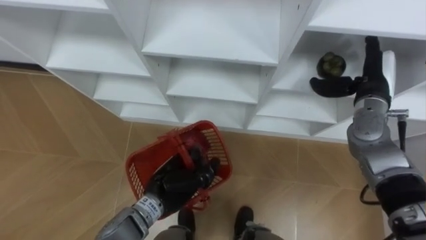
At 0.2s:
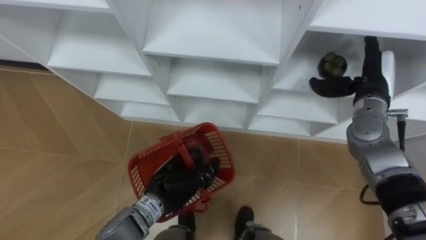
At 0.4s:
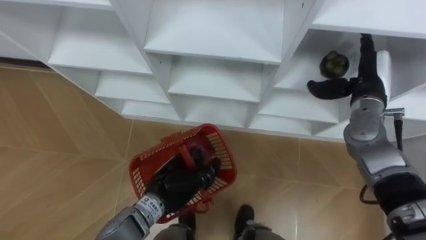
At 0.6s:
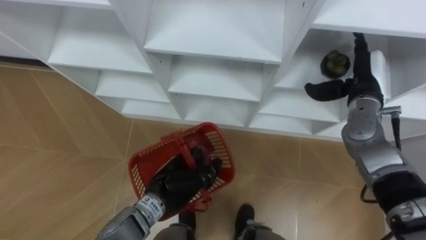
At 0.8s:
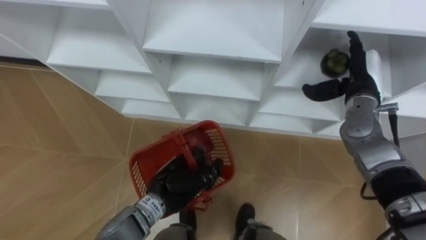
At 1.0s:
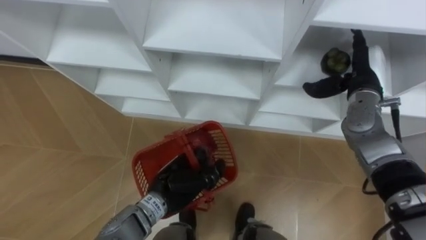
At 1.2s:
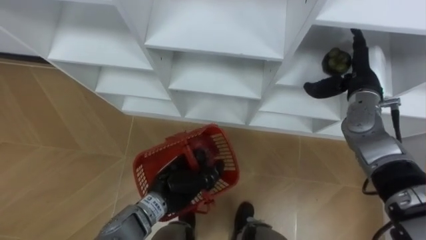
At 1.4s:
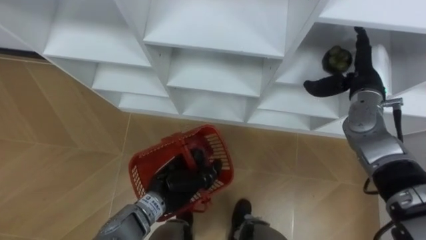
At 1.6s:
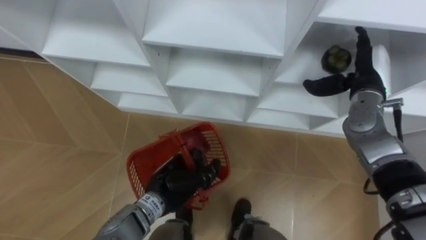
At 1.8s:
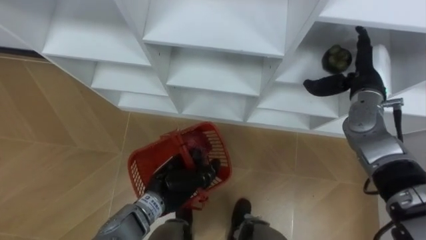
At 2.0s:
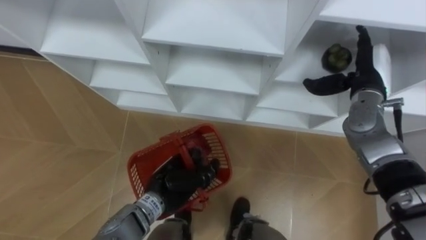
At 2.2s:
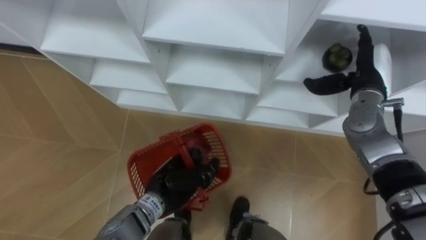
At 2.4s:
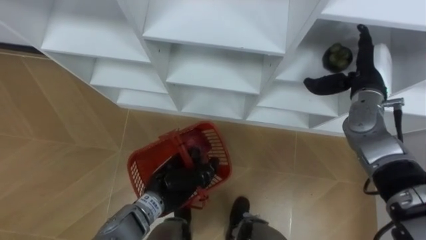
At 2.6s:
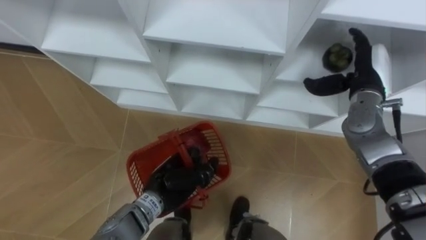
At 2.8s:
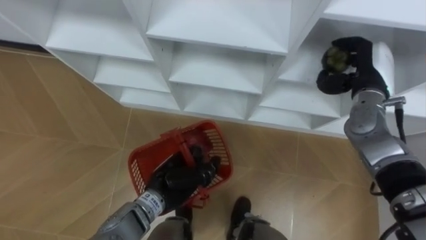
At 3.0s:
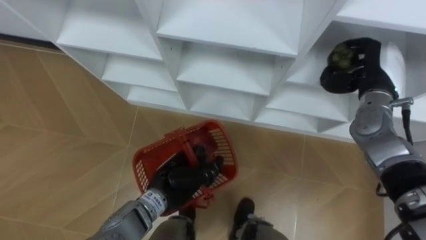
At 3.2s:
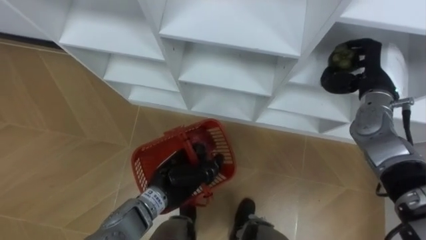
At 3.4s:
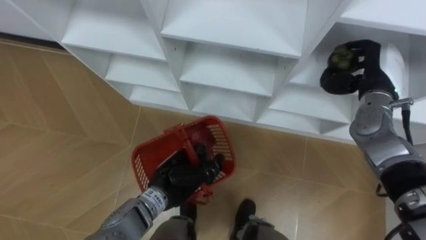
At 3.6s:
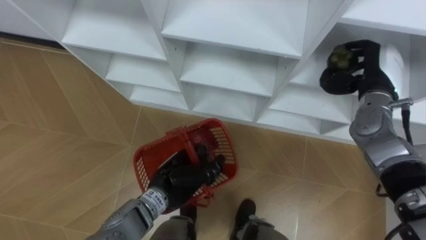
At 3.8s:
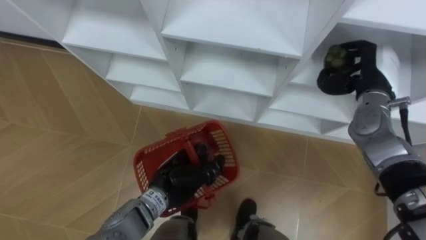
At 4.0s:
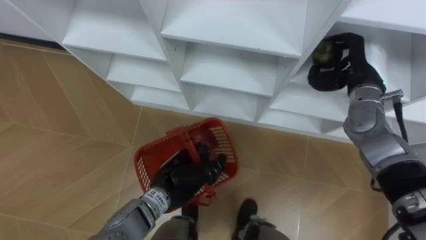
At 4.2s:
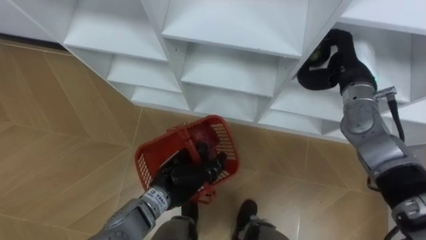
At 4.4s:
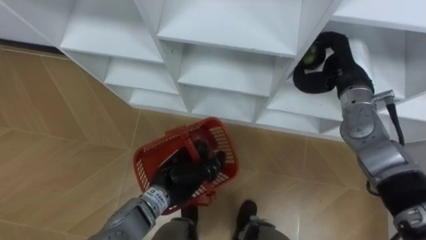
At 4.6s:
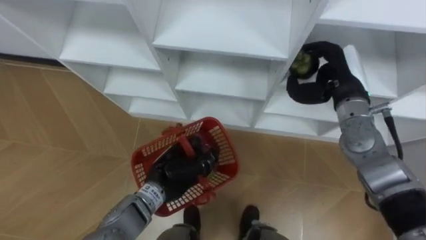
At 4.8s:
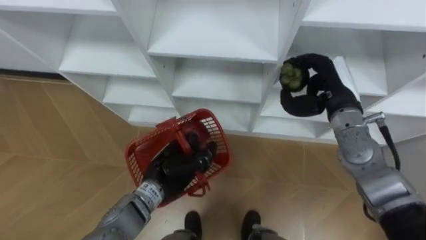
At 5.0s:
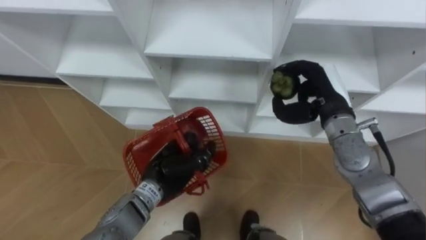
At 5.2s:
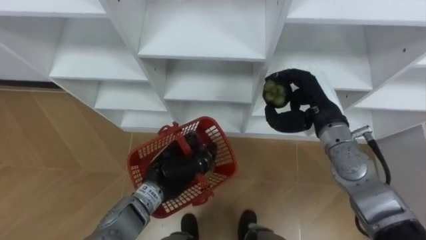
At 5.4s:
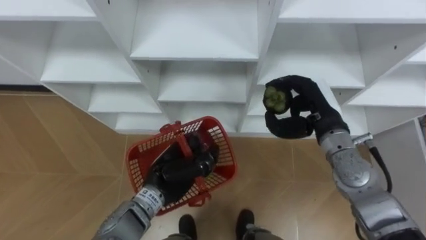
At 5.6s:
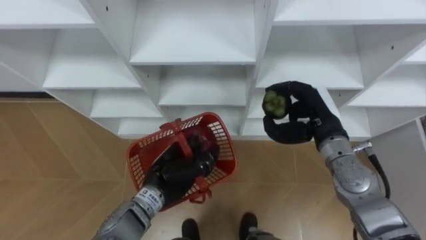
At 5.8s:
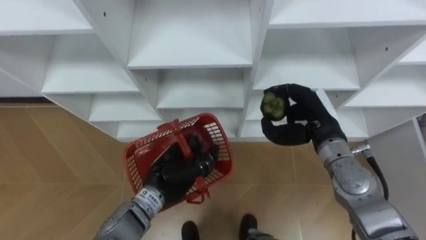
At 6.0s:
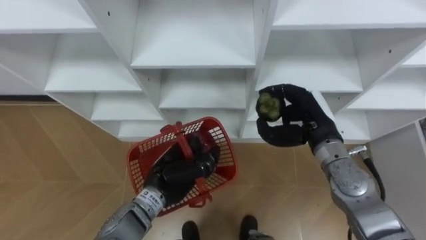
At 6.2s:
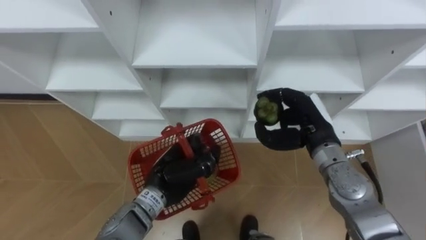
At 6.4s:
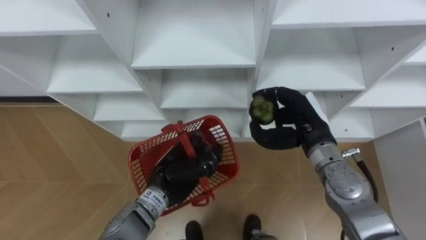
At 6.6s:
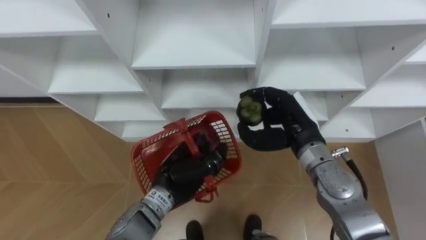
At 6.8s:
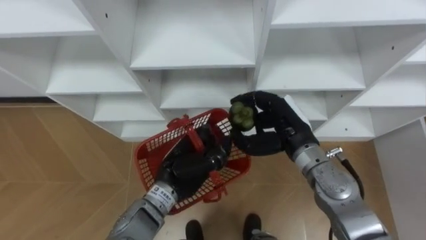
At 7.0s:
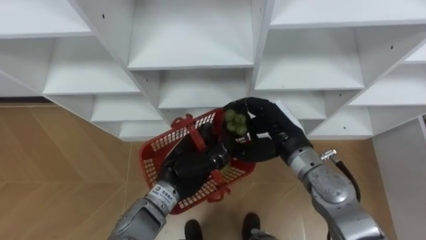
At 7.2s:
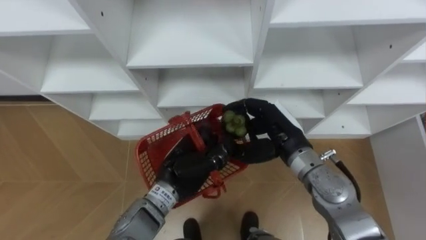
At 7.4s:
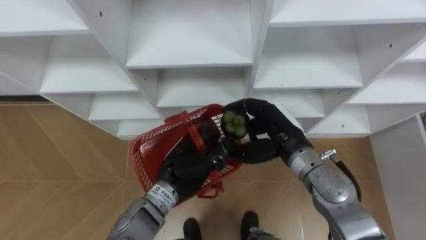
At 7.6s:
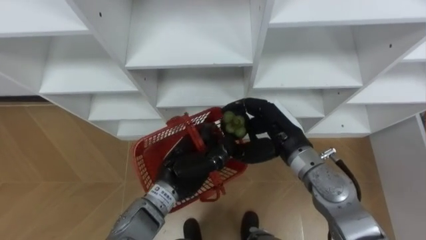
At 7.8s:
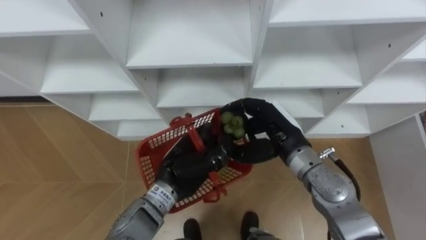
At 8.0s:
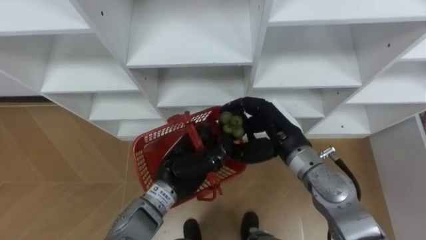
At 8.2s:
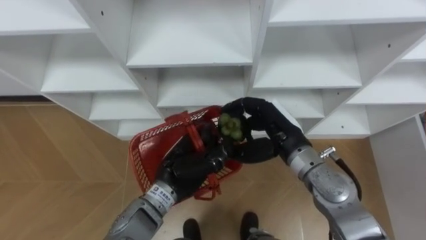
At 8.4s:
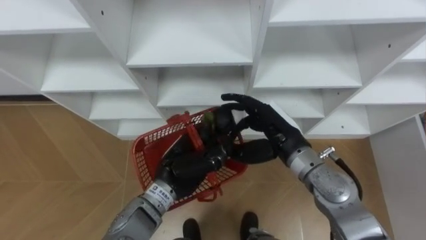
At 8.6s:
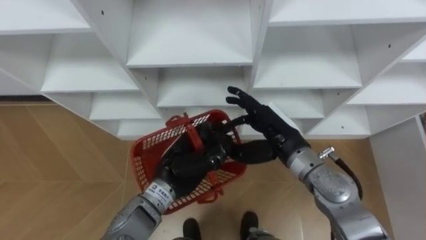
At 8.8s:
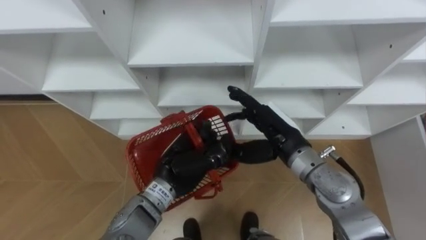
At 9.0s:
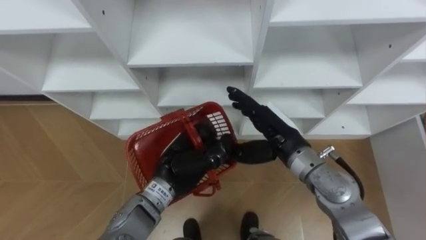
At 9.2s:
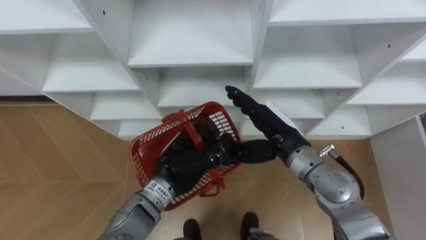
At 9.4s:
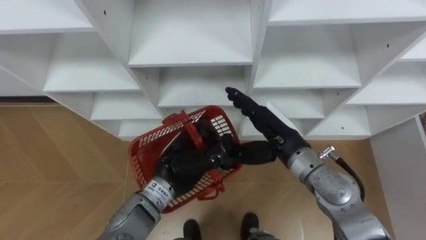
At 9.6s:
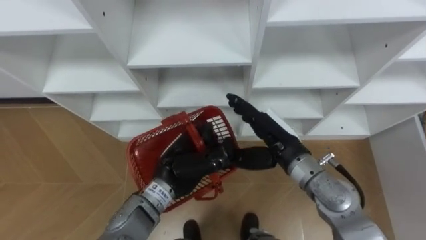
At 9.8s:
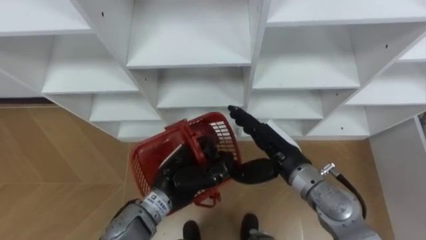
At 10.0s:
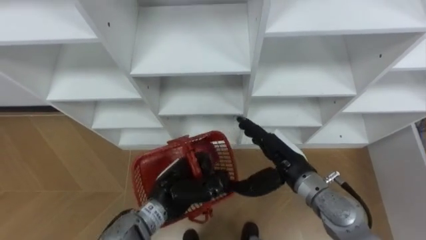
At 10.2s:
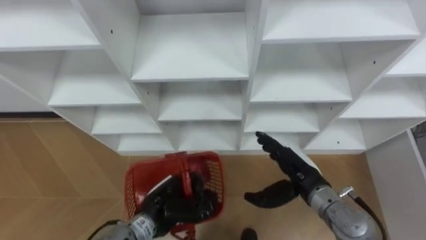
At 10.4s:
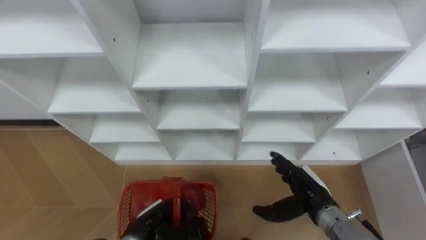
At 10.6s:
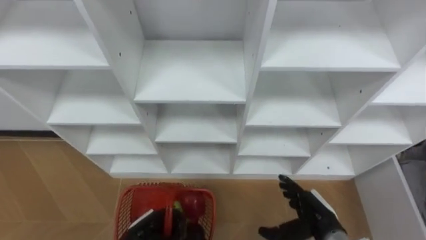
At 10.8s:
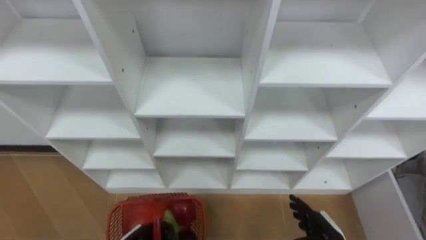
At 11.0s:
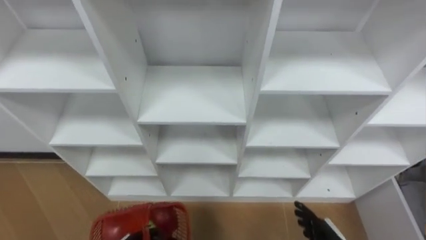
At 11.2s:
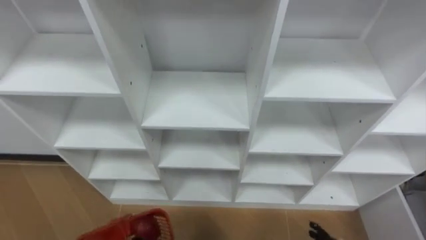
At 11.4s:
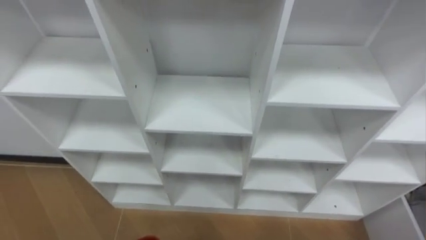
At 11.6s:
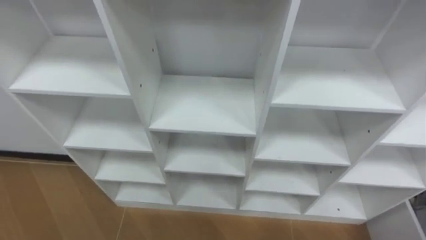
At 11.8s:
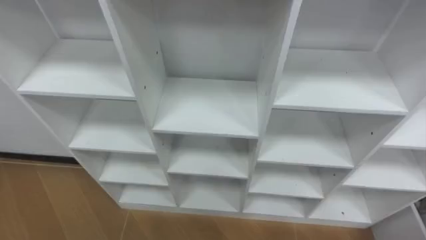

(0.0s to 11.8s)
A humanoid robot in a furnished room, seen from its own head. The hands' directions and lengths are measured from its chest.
Task of the whole recording: Hold the basket and collect the fruits from 3 different cells of the closet into it.
1.4s - 3.0s: The right hand closes up.
3.0s - 4.4s: The right hand is displaced to the left by roughly 5 cm.
4.4s - 6.0s: The right hand is displaced backward, downward and to the left by about 10 cm.
6.0s - 7.4s: The right hand shifts approximately 5 cm to the left.
7.4s - 8.8s: The right hand opens up.
8.8s - 10.4s: The left hand goes approximately 15 cm downward, backward and to the left, while the right hand heads downward, to the right and backward, covering about 15 cm.

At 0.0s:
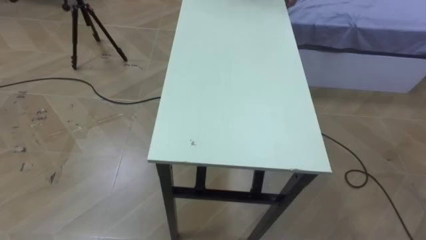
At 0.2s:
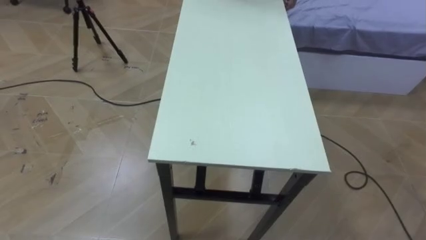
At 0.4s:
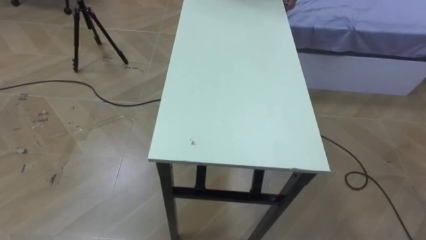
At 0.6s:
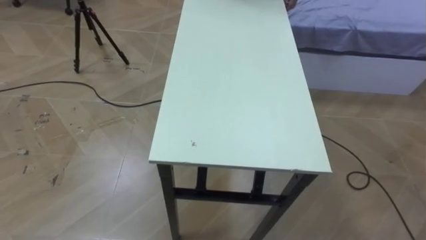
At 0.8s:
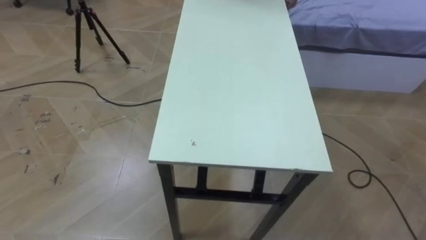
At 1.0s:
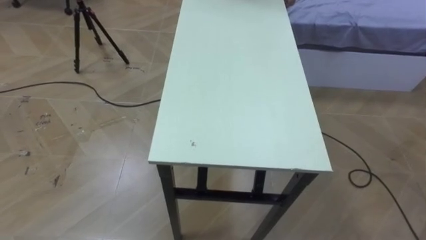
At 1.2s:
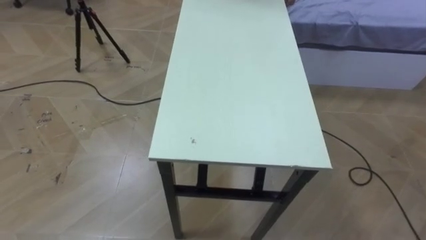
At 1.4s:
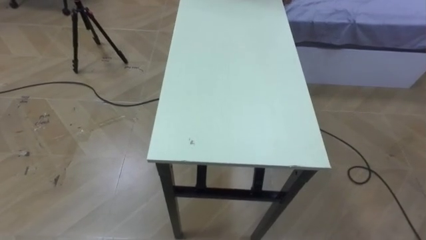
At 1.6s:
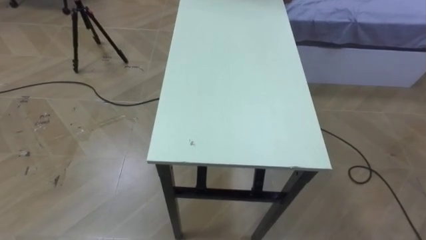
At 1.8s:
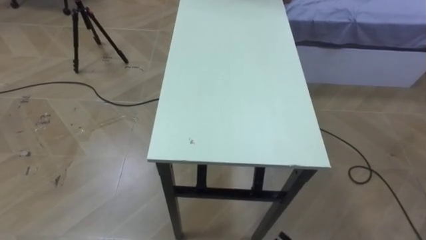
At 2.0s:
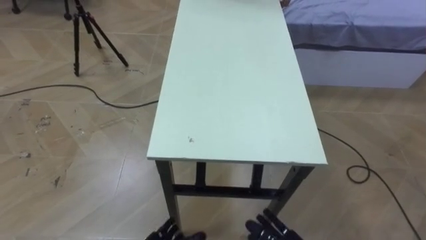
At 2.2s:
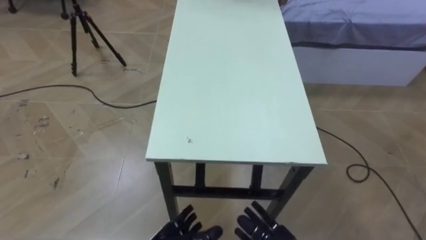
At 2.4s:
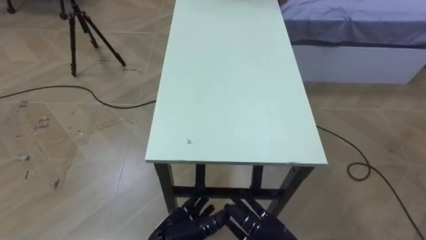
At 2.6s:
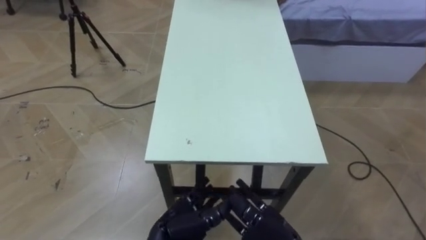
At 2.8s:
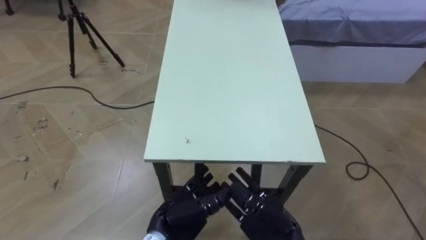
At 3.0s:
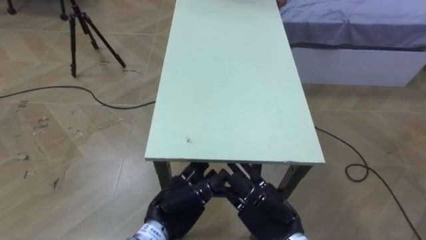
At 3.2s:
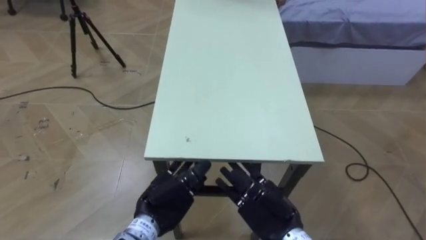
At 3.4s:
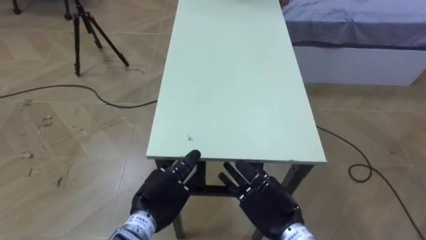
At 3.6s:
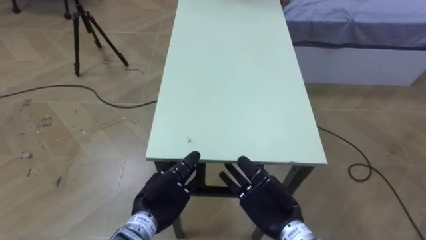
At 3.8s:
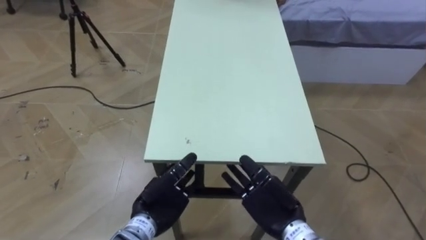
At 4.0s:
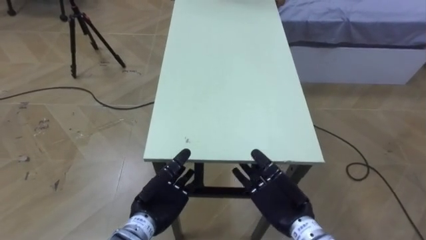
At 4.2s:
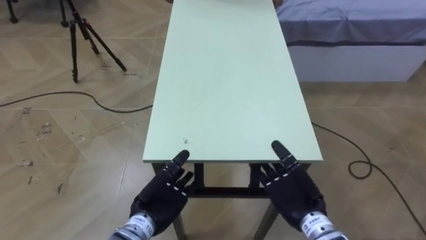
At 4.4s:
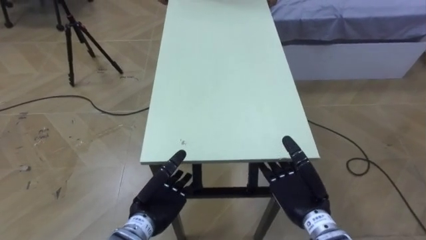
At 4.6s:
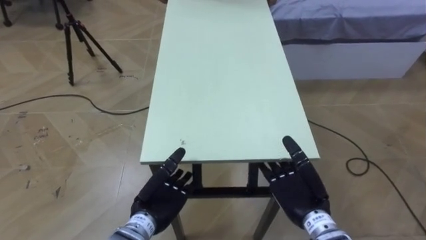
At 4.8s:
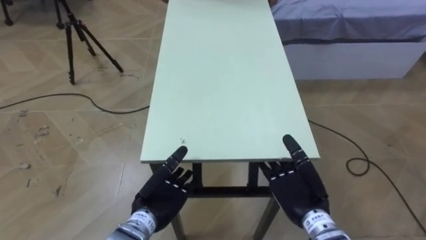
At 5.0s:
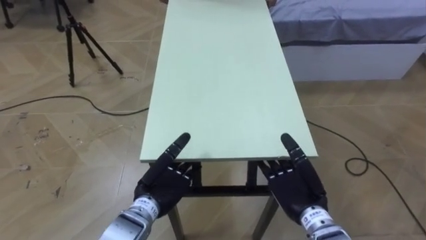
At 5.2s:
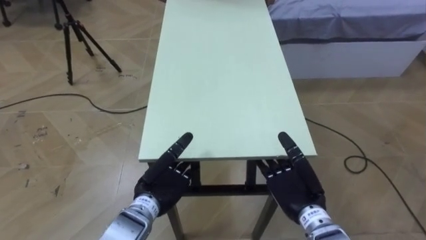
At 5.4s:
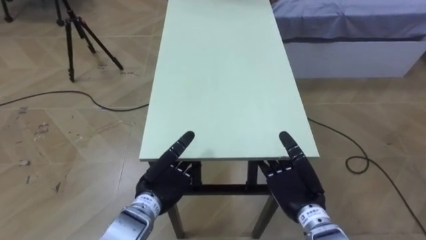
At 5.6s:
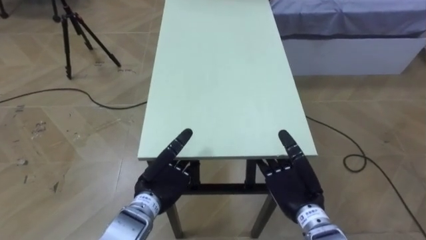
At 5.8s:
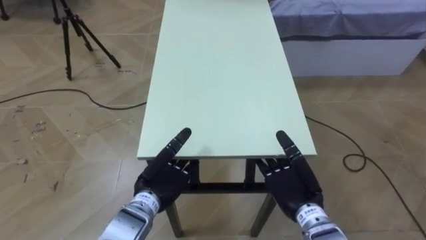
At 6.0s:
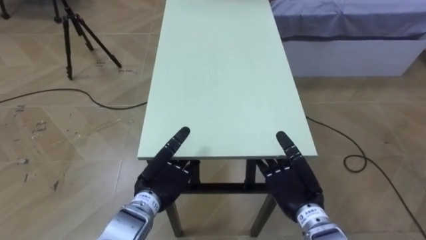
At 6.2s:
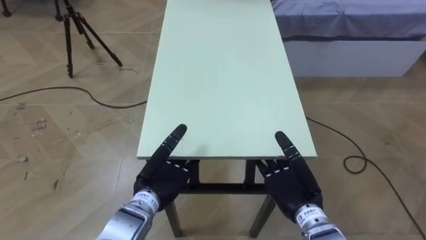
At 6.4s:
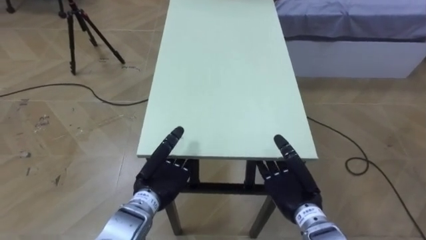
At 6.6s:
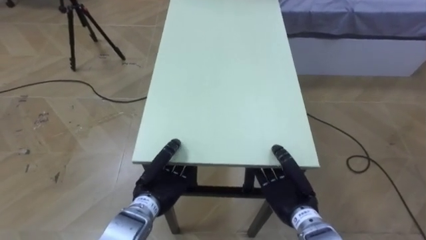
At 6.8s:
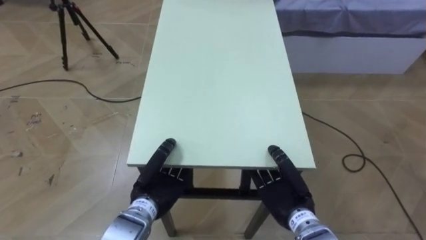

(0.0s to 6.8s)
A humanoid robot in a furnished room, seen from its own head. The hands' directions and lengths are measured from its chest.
Task of the whole recording: Move the table to the back left with someone.
2.8s - 4.0s: The left hand shifts by approximately 5 cm.
4.0s - 5.4s: The hands move only a little.
5.4s - 6.8s: The right hand closes. The left hand closes up.
